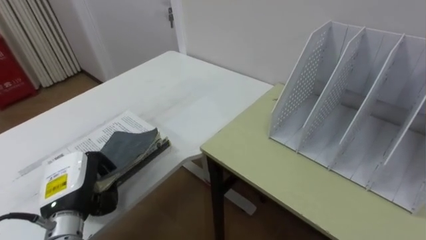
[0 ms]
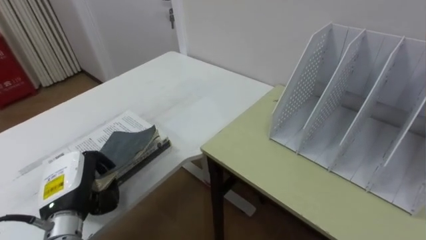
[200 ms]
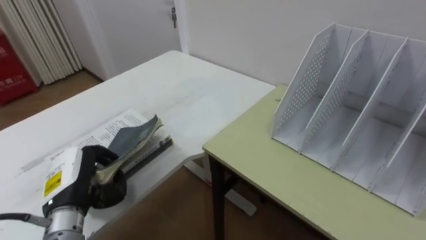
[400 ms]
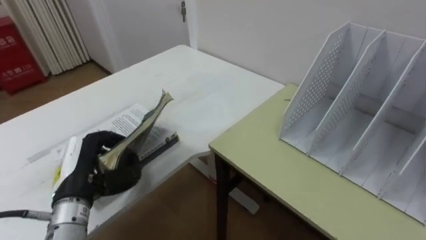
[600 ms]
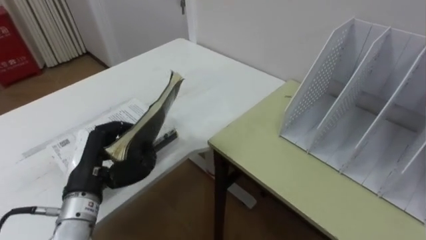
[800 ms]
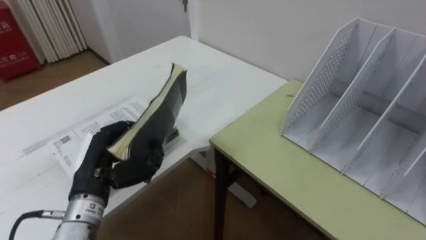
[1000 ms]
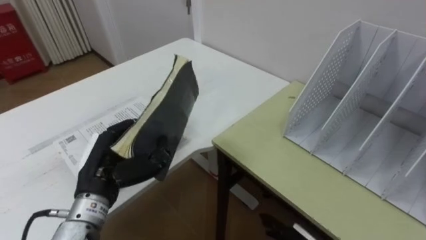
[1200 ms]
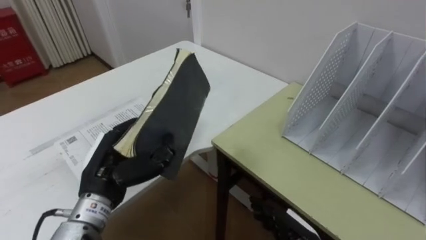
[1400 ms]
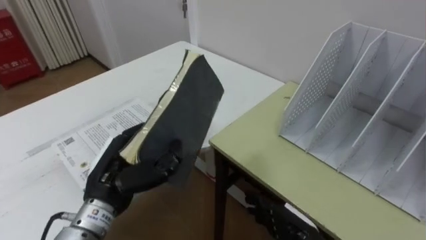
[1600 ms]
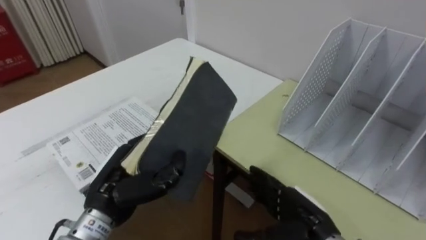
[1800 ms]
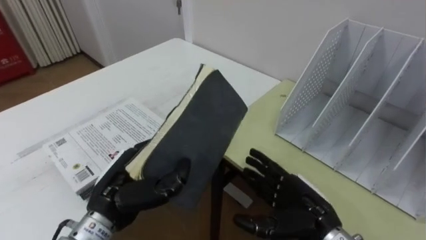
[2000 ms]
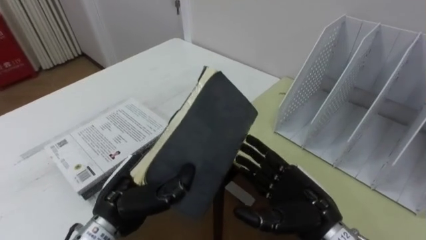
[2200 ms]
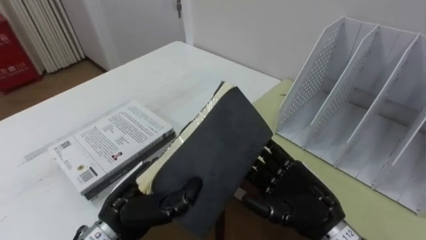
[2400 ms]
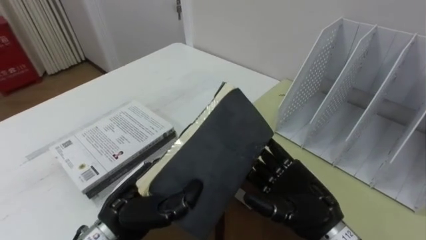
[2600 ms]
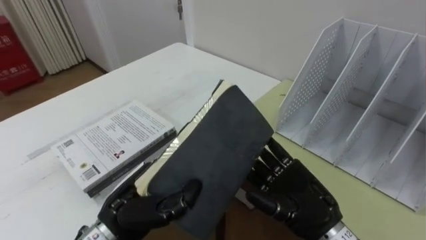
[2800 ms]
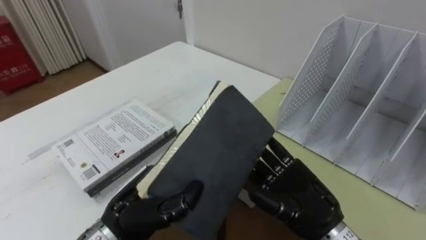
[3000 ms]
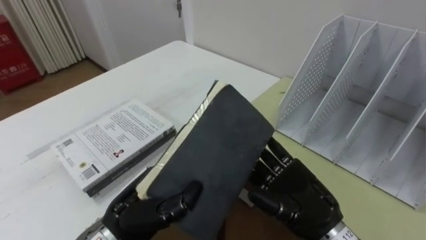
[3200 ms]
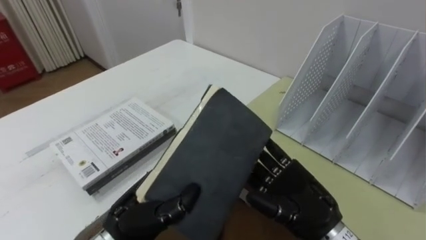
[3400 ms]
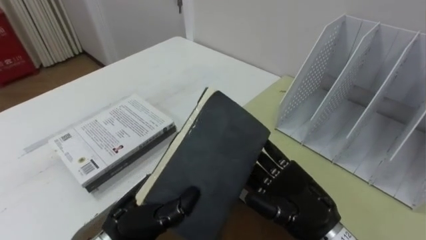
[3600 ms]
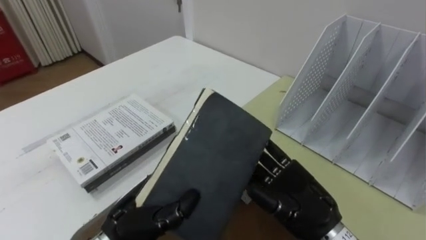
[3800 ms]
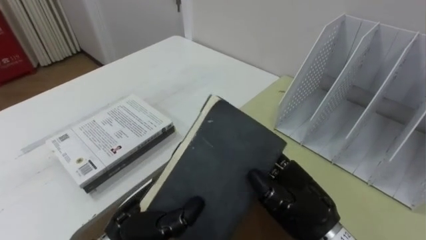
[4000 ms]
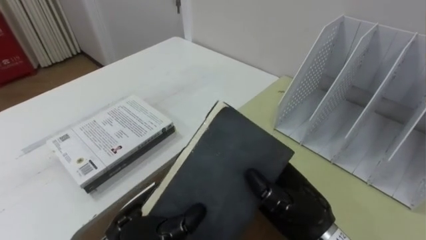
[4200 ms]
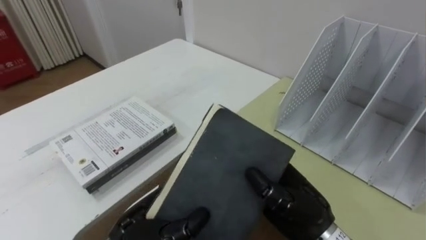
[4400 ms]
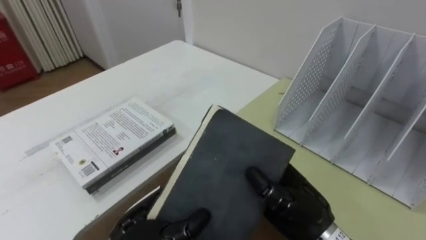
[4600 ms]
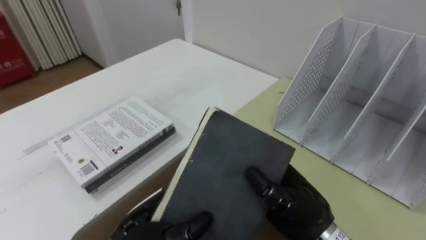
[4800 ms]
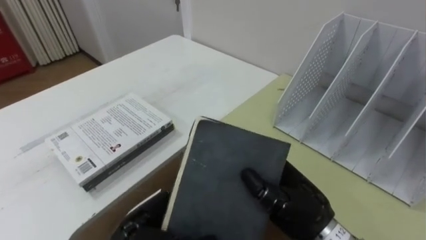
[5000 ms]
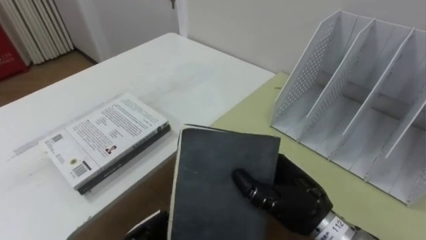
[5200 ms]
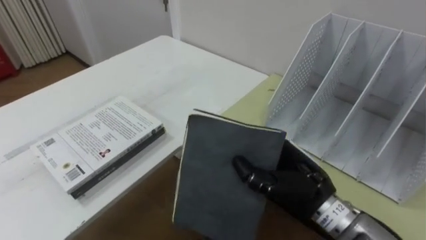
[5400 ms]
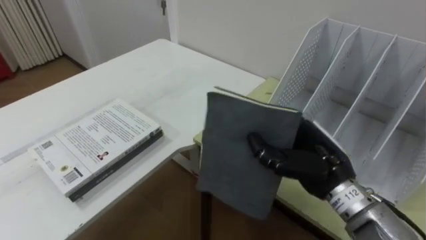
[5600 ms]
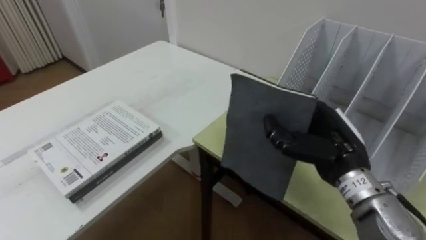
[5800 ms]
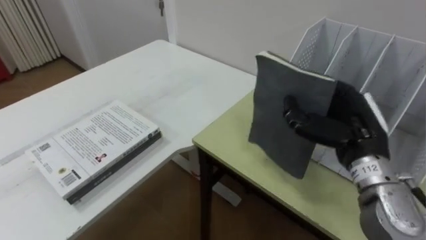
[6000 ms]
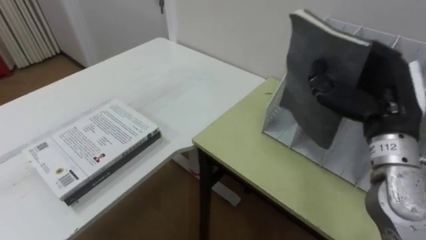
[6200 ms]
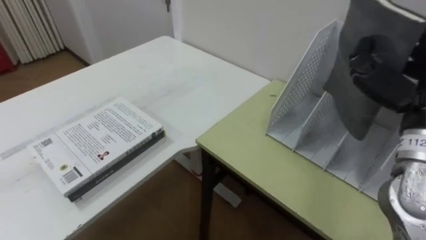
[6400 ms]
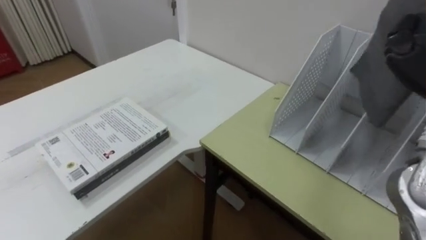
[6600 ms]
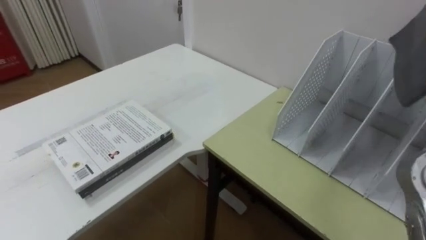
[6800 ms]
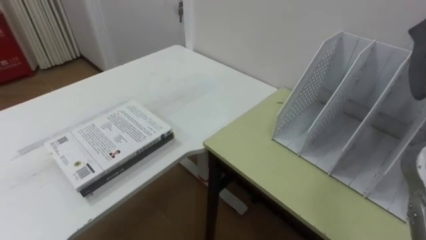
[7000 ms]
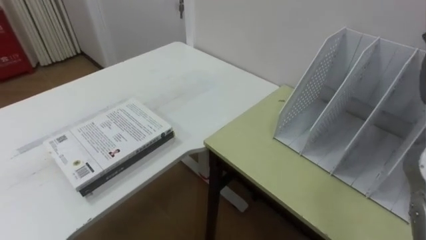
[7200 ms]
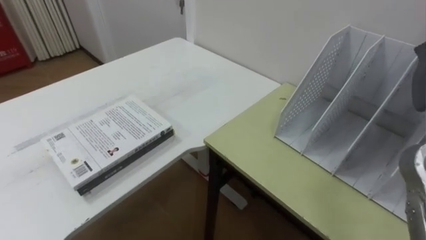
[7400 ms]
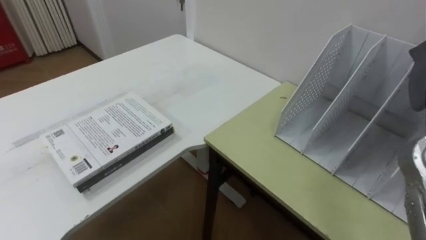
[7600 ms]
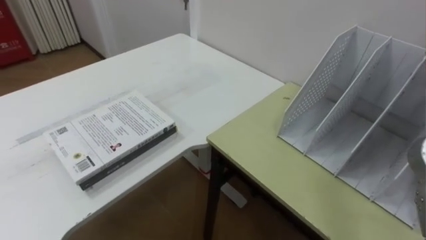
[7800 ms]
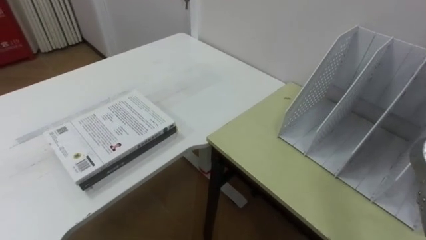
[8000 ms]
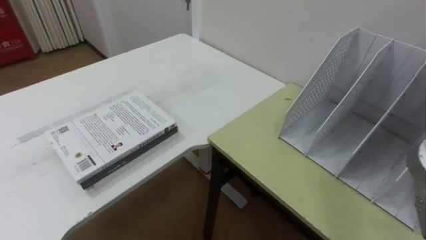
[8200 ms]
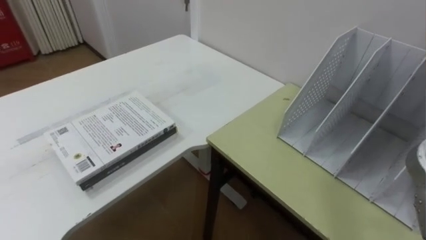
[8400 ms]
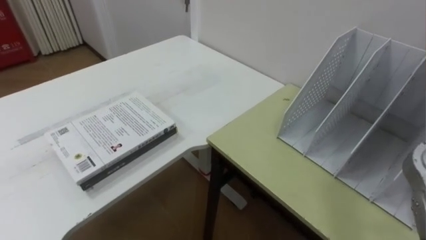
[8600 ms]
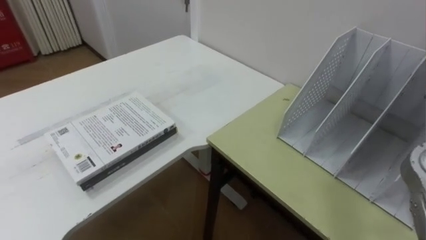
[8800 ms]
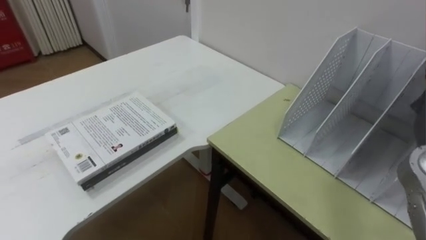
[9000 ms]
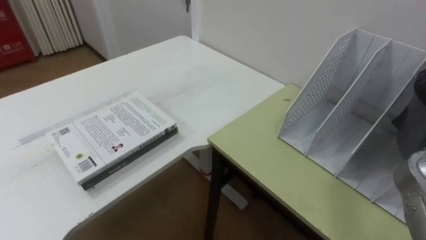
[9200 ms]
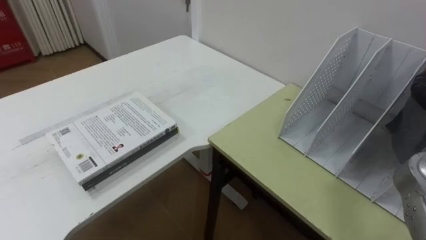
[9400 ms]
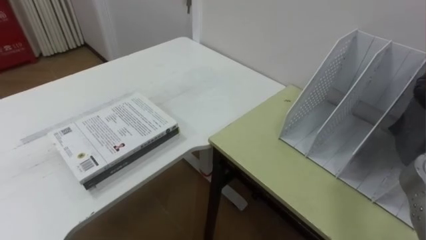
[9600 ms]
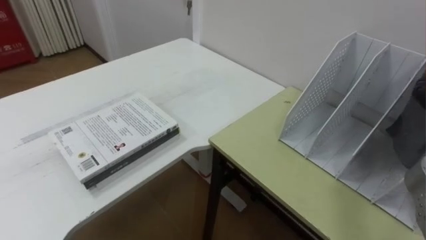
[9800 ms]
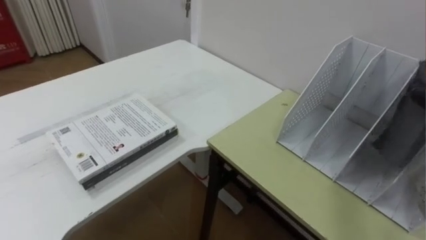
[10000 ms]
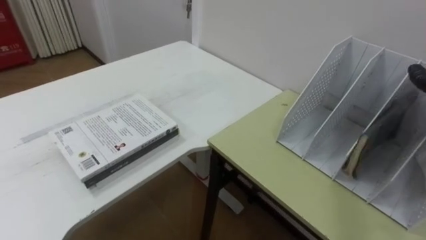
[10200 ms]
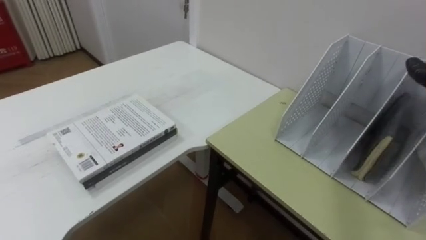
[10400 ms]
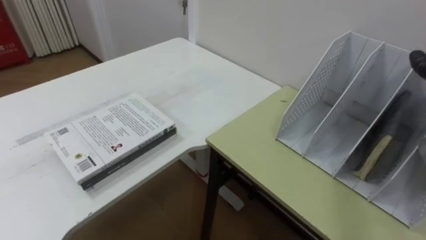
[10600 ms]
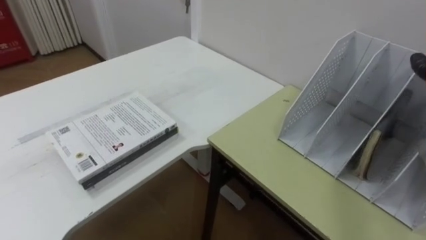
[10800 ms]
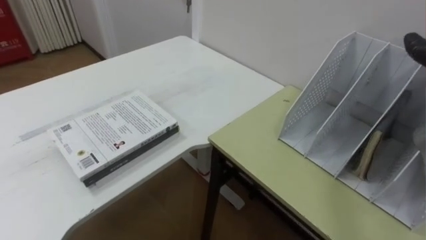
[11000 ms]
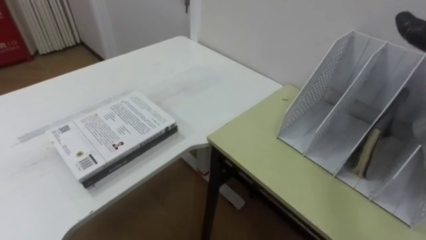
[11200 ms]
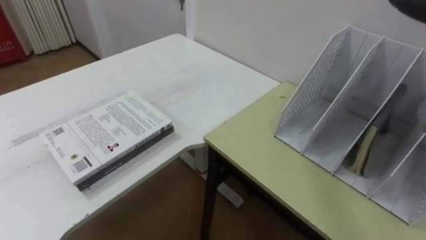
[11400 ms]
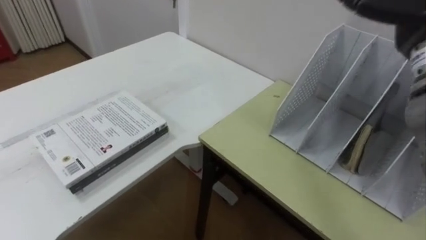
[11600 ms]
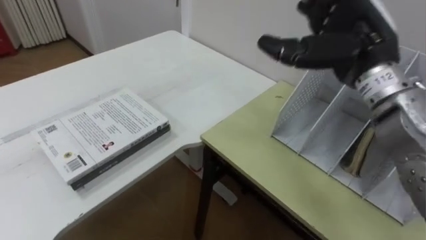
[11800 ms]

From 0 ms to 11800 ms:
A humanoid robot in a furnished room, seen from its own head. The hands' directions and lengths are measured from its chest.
Task of the whole recording: Put the books on the table onto the bookshelf.
From 0 ms to 1400 ms: The left hand goes about 5 cm to the right.
From 1400 ms to 3000 ms: The left hand travels to the right by roughly 5 cm; the right hand moves upward, about 15 cm.
From 3000 ms to 4400 ms: The right hand closes.
From 4400 ms to 6000 ms: The right hand moves to the right, upward and forward, approximately 15 cm.

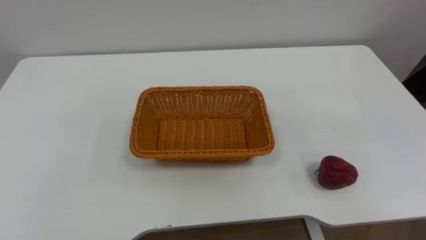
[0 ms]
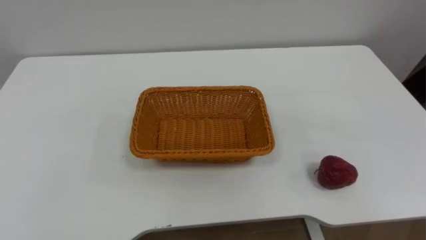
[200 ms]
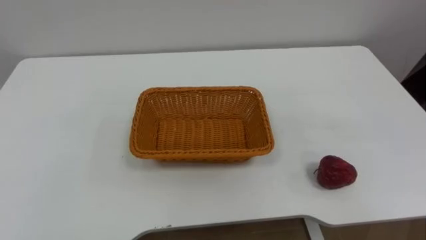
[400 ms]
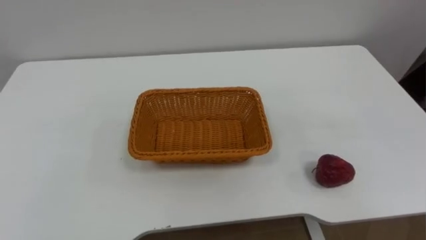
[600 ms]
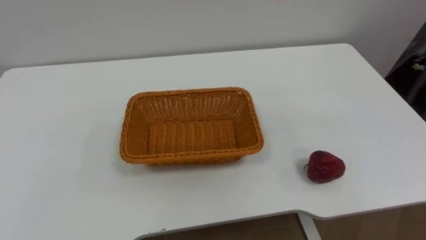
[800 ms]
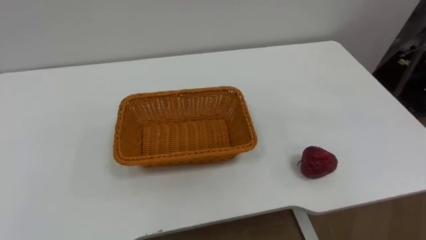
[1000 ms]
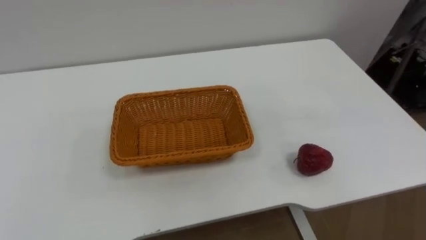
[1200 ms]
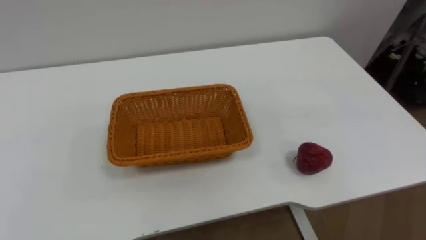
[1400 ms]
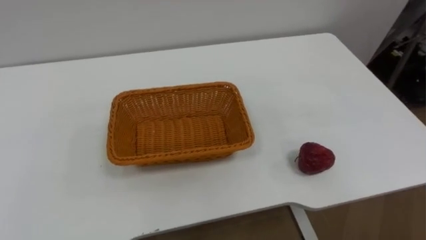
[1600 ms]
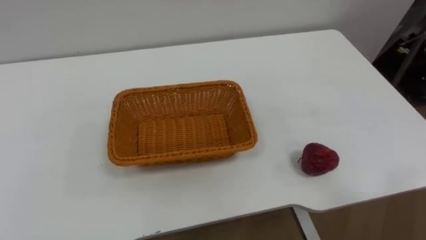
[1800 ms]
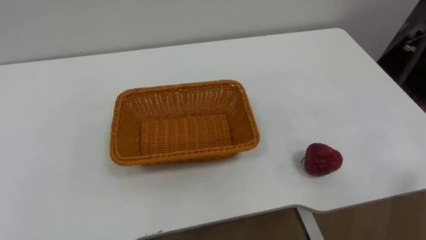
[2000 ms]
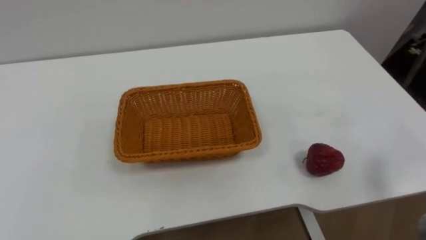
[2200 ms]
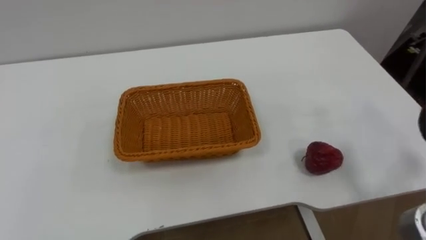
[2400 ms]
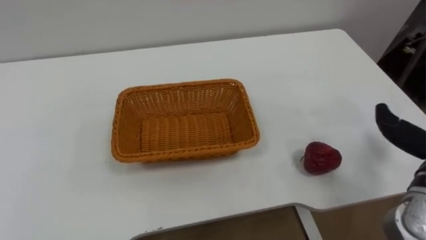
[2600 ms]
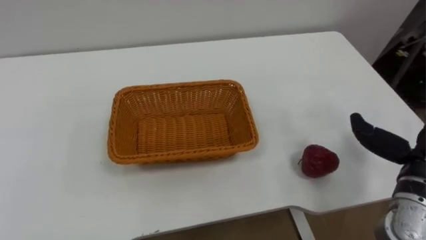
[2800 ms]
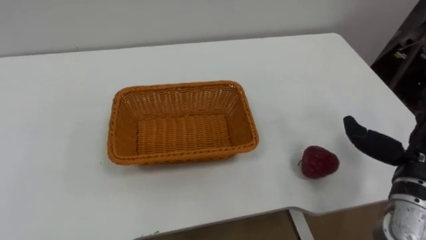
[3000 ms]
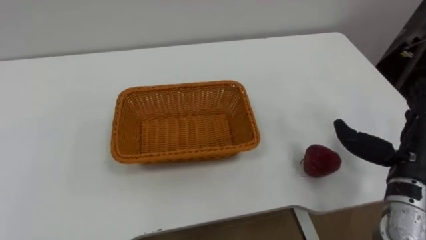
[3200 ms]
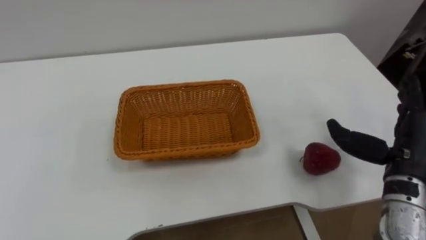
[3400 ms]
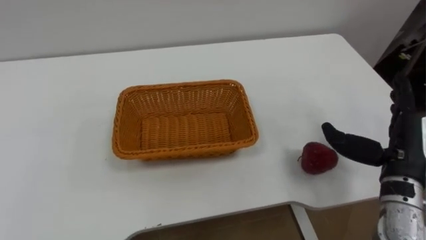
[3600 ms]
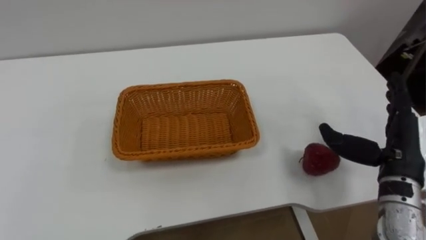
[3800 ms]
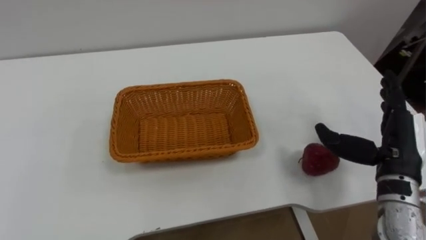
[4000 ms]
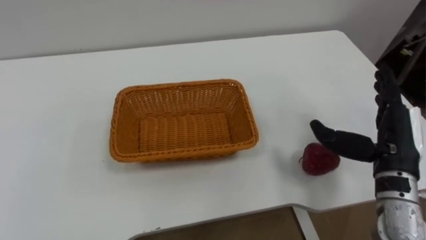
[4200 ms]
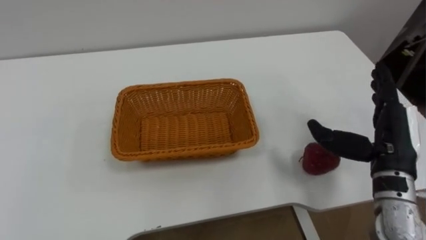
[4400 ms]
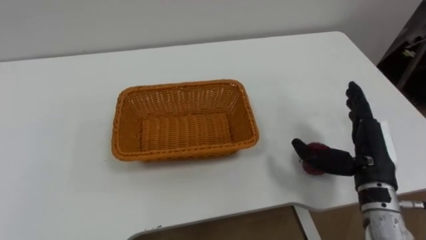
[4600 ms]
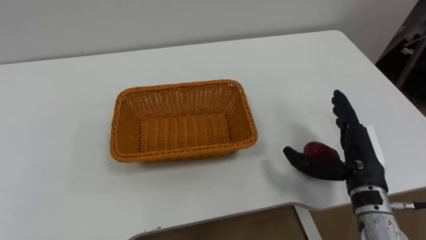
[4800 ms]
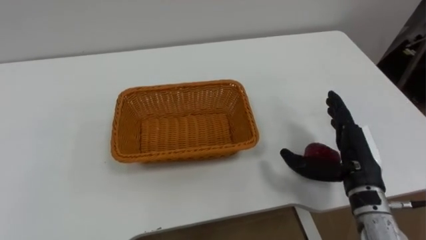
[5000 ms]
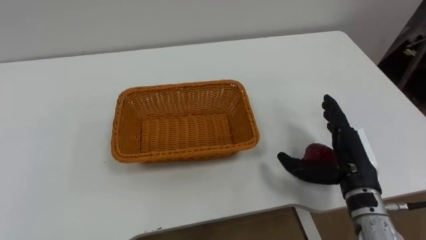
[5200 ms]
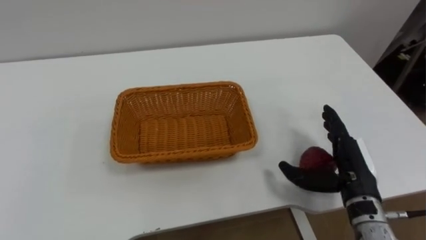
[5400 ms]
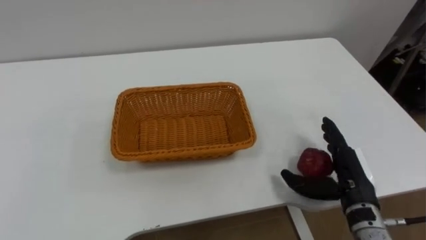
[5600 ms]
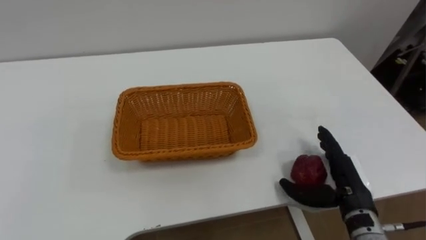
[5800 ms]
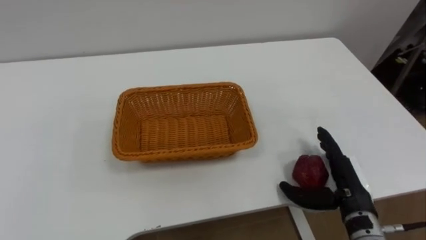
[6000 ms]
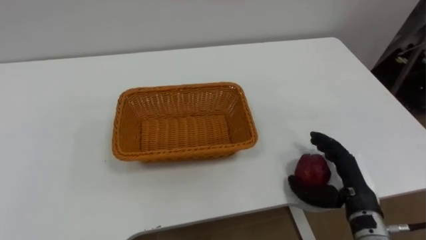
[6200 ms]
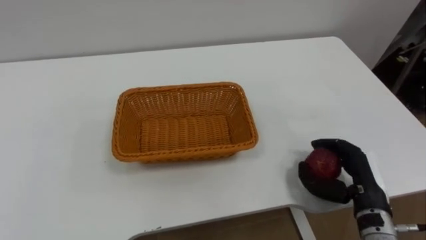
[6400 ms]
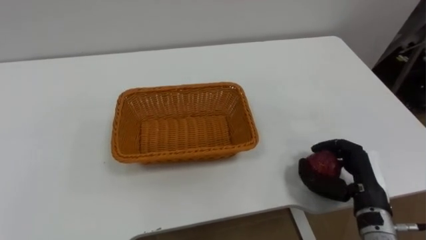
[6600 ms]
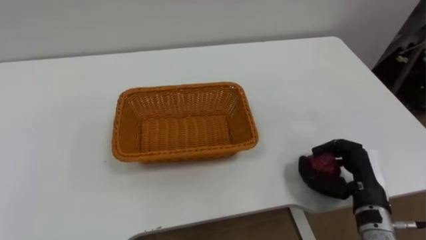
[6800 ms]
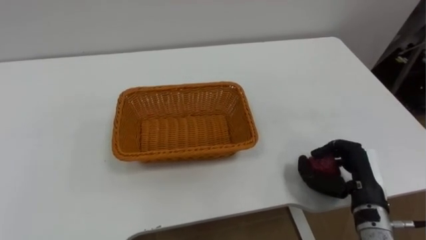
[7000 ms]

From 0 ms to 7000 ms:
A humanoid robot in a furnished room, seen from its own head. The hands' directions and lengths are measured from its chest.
Task of the whole recording: Pick the apple and place it in the box.
From 2800 ms to 4200 ms: The right hand moves some 5 cm.
From 4200 ms to 5600 ms: The right hand travels downward by some 10 cm.
From 5600 ms to 7000 ms: The right hand closes.
